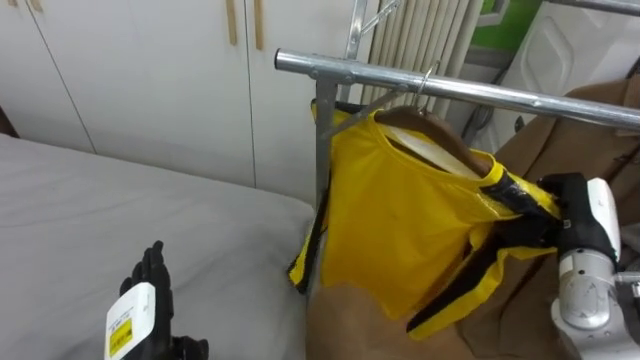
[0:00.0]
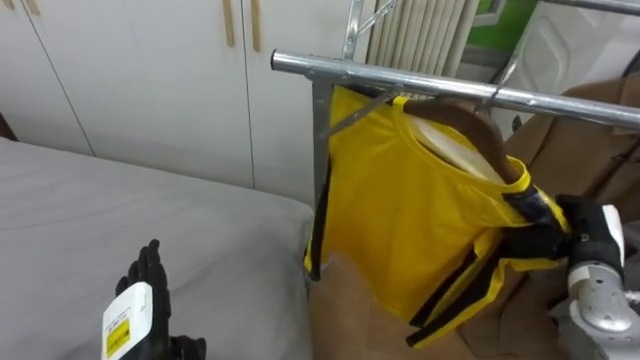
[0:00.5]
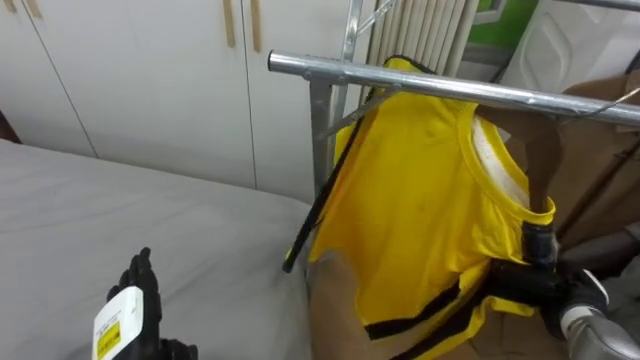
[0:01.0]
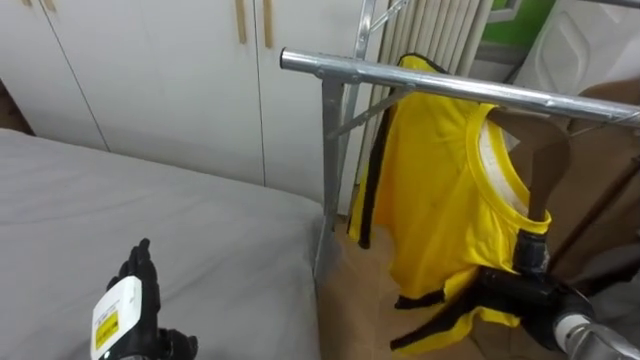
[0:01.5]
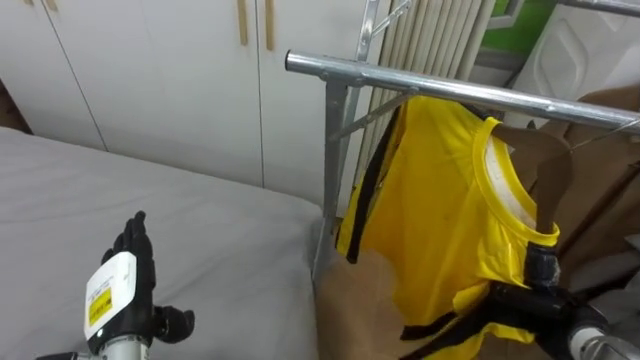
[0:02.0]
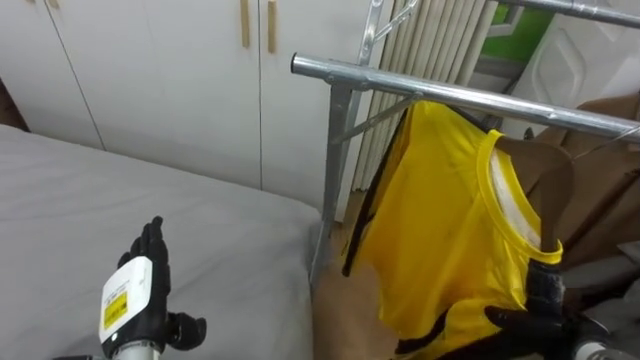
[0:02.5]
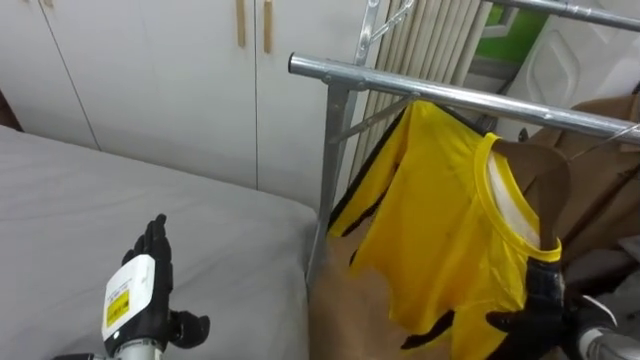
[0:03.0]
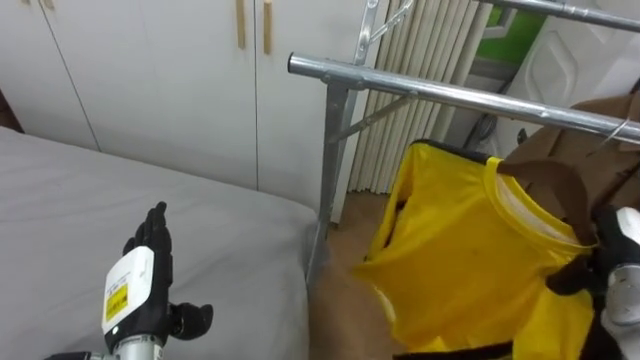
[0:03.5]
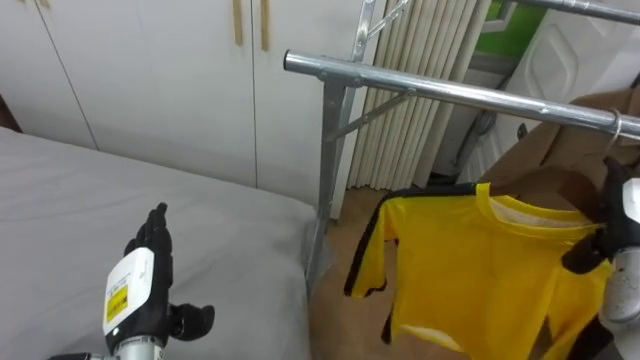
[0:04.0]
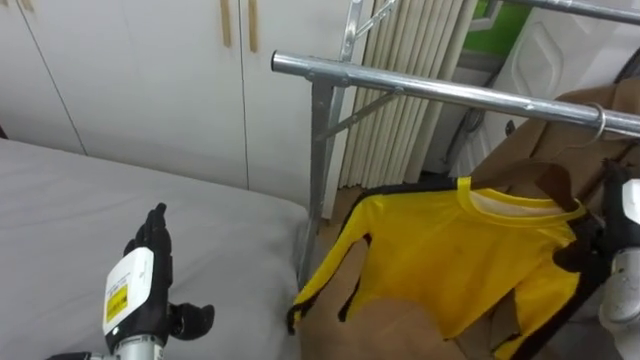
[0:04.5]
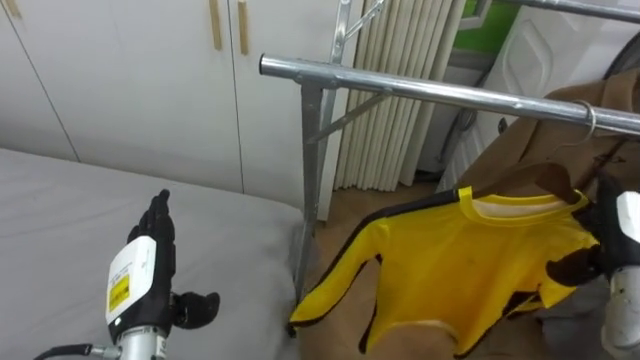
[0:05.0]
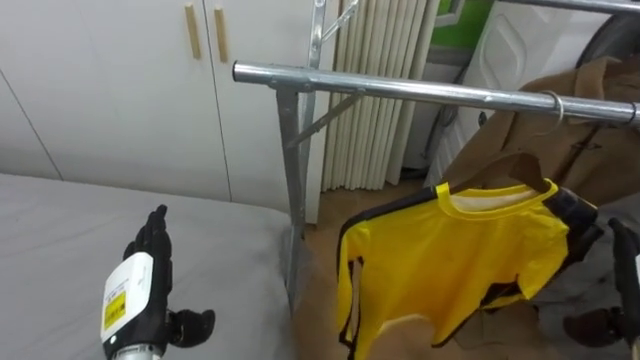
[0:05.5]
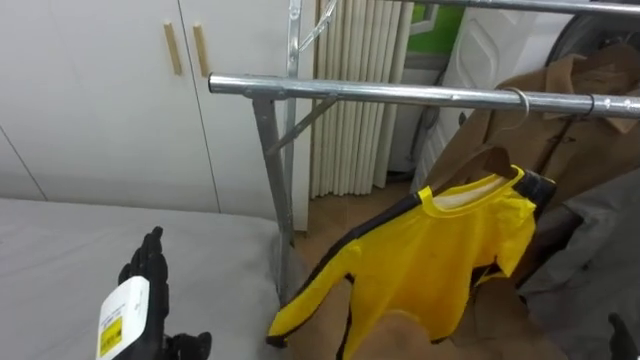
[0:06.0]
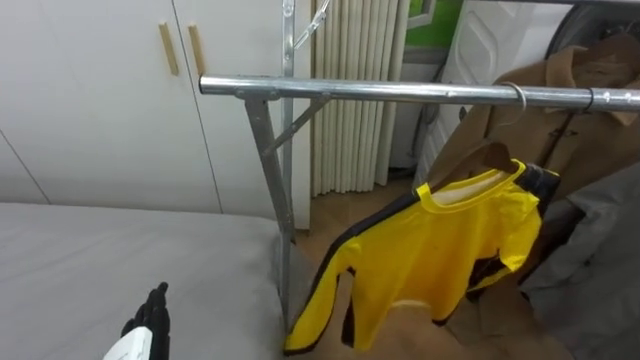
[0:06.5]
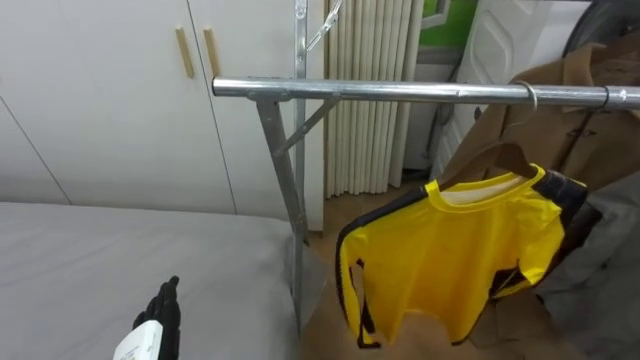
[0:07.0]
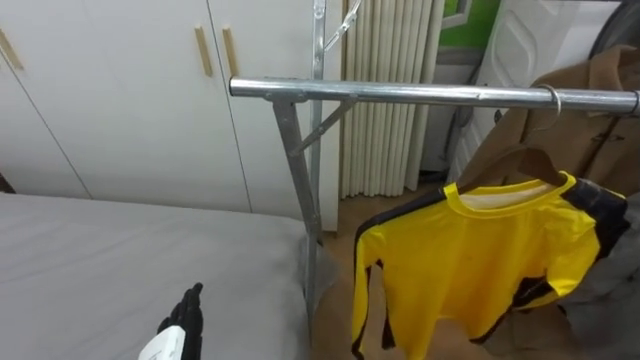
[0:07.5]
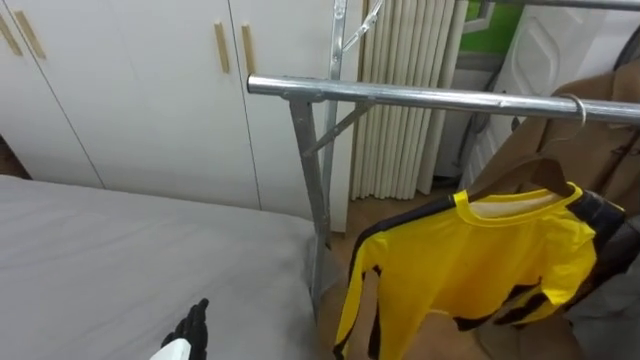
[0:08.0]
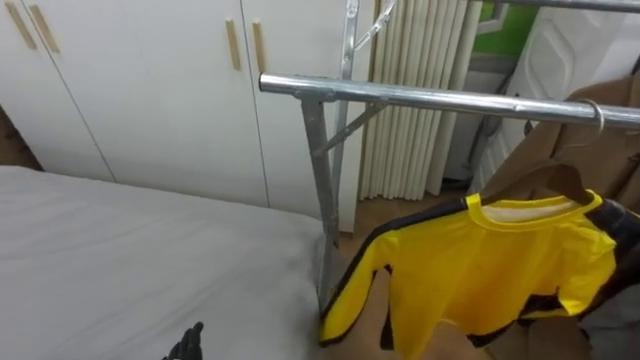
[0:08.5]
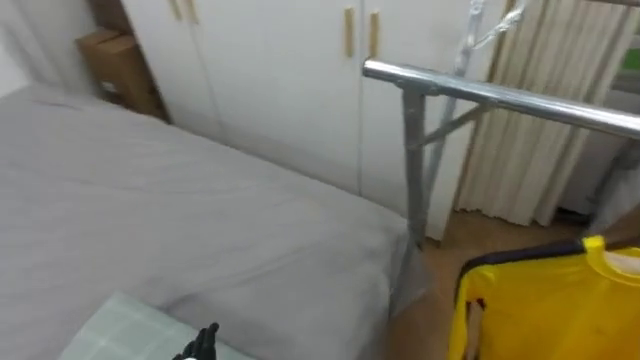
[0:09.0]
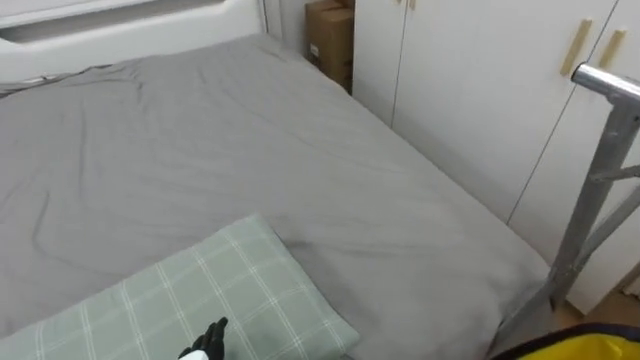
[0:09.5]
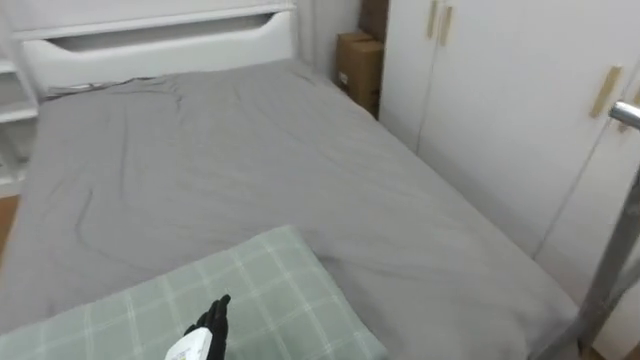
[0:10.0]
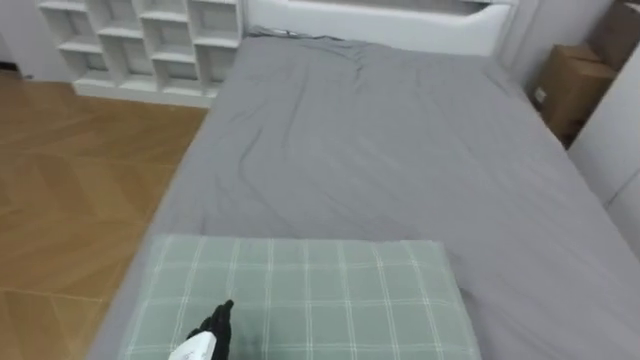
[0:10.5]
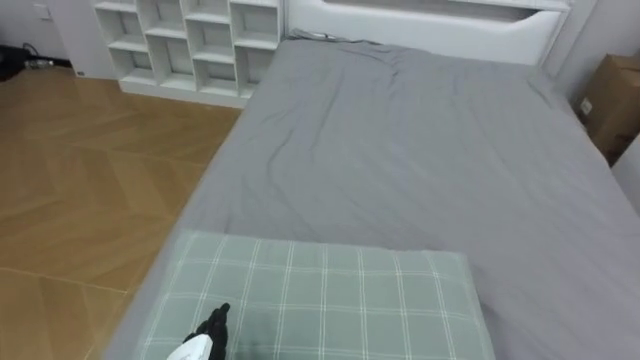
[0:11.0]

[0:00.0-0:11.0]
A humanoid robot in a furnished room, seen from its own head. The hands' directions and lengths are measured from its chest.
Task of the whole recording: Pick up the yellow shirt on the bed and hang it on the clothes rack on the right.
0:00.0 to 0:02.0: The right hand heads downward, covering roughly 15 cm.
0:02.0 to 0:03.5: The right hand moves upward and to the right, some 10 cm, and opens its fingers.
0:03.5 to 0:05.5: The right hand shifts some 5 cm backward.
0:07.5 to 0:09.0: The robot's body swings approximately 15 degrees to its left.
0:09.0 to 0:11.0: The robot's body swings some 75 degrees to its left.

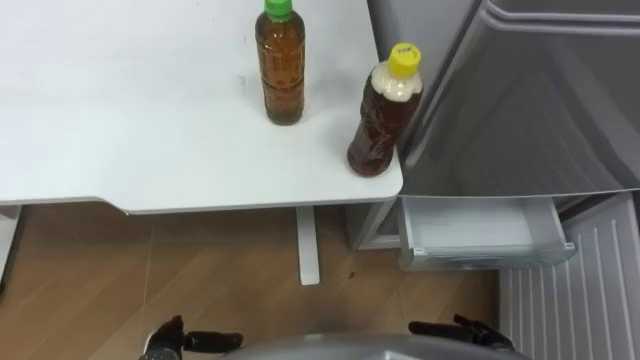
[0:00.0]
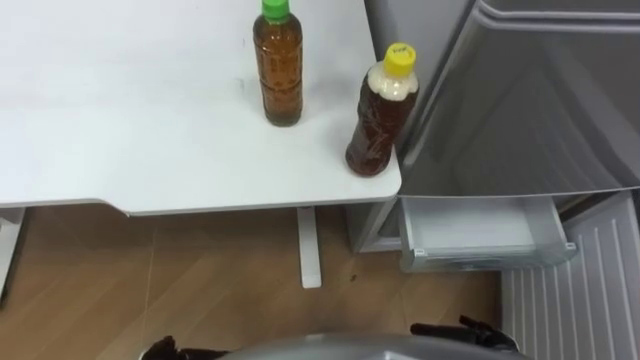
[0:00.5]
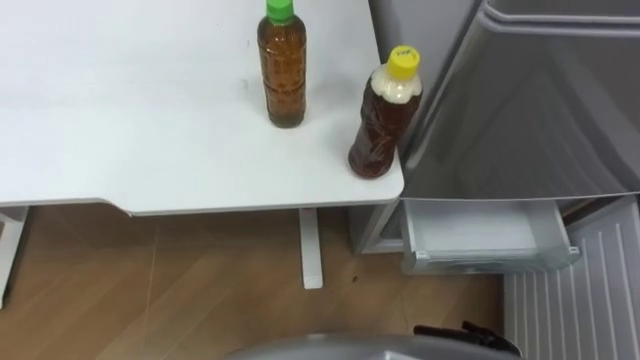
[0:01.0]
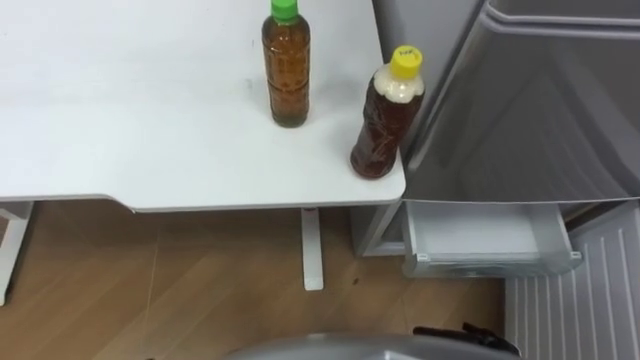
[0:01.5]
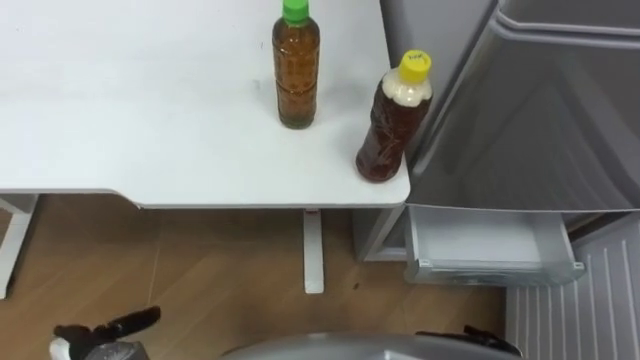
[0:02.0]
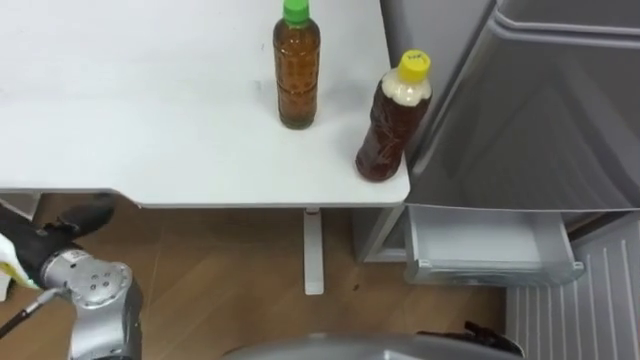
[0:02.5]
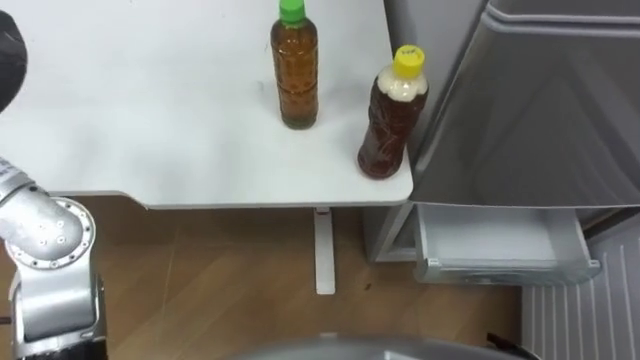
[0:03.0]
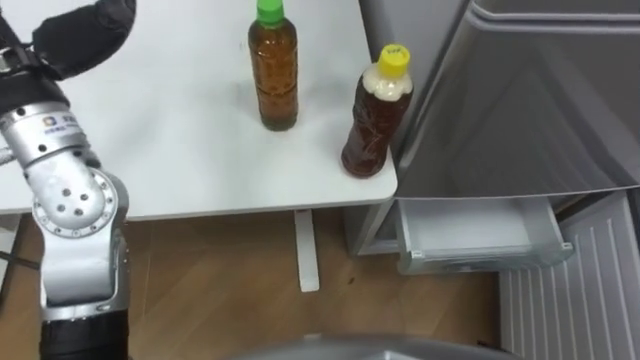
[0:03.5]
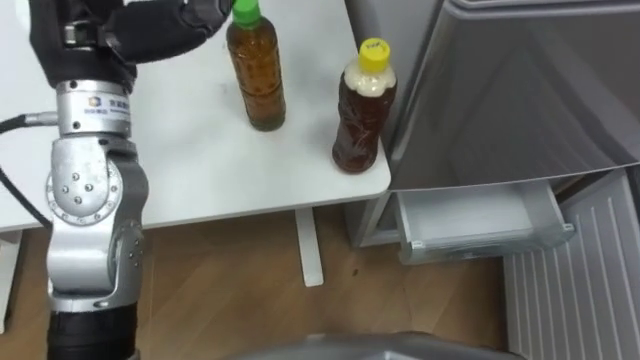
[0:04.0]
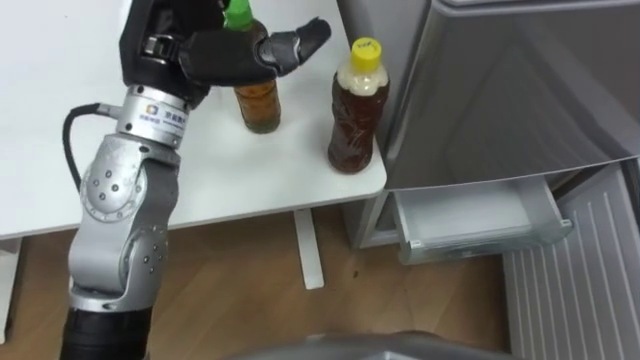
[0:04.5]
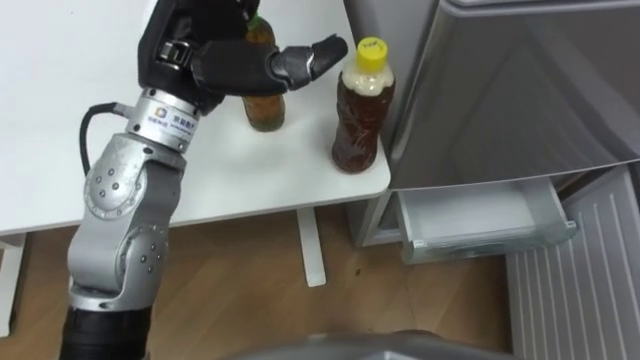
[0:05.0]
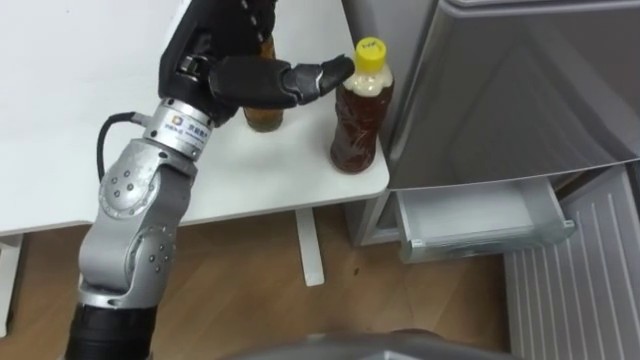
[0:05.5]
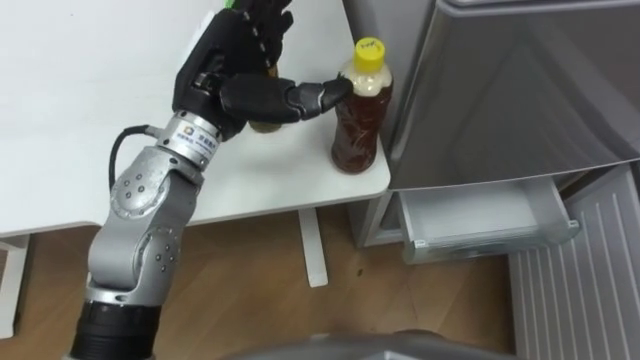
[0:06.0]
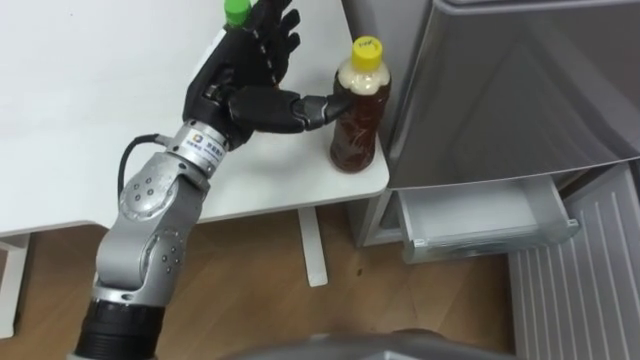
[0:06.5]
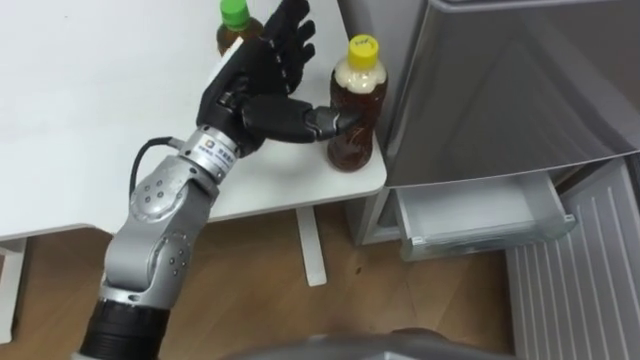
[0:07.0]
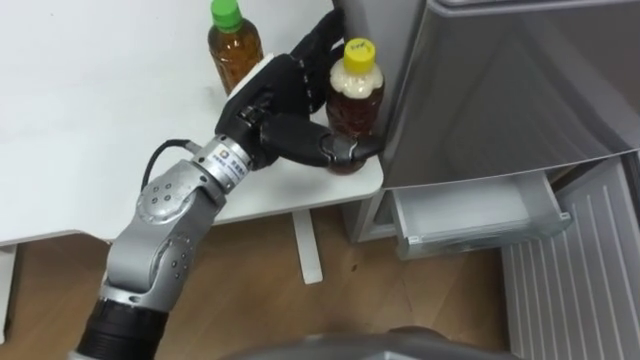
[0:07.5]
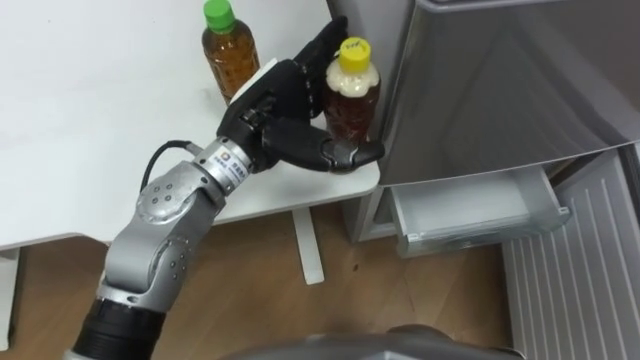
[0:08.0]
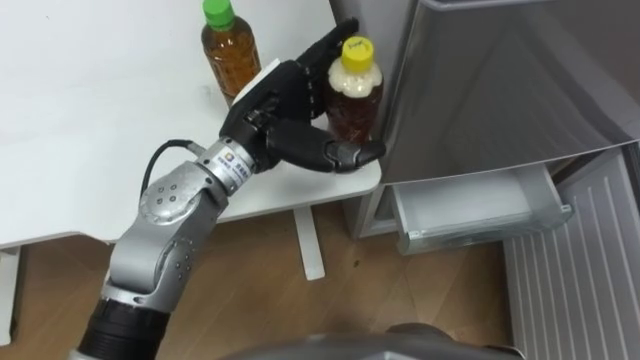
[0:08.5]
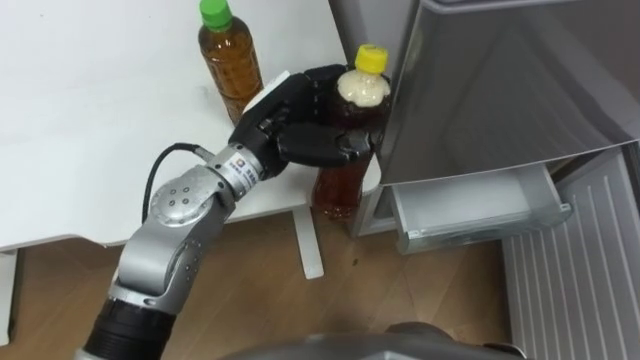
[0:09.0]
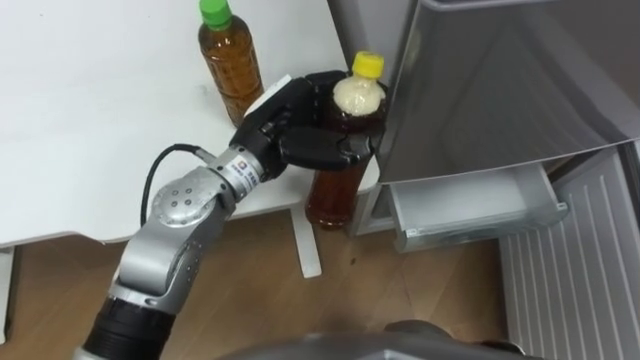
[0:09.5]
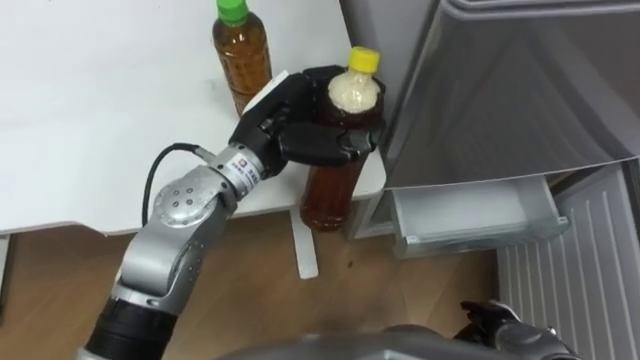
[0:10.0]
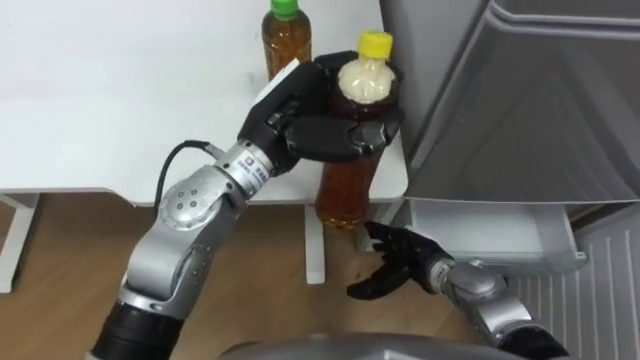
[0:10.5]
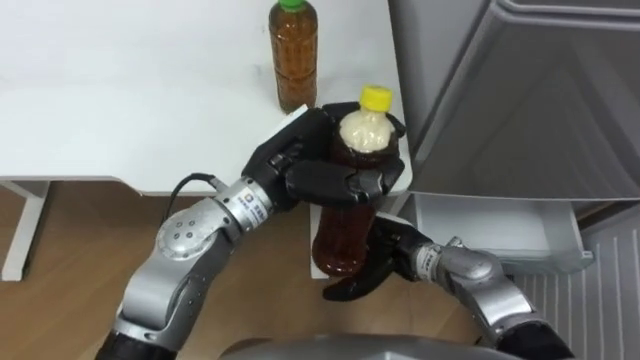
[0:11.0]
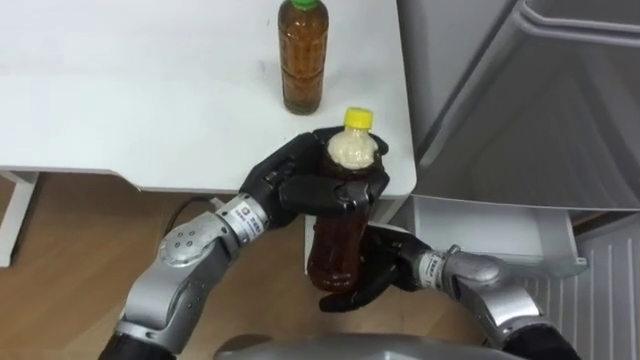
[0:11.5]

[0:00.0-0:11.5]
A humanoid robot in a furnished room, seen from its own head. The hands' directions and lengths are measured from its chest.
Task of the whole recording: Place the drink on the table on the bottom shelf of the refrigerator, then close the drawer and the refrigerator door.
0:04.0 to 0:06.0: The left hand goes approximately 10 cm to the right and downward.
0:06.0 to 0:07.5: The left hand moves some 5 cm.
0:07.5 to 0:09.5: The left hand closes.
0:09.5 to 0:11.5: The left hand ends up approximately 5 cm from where it was.
